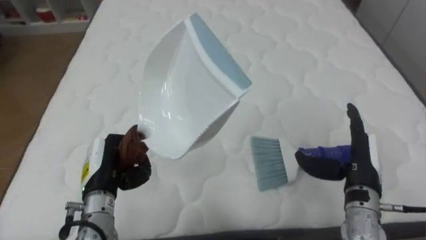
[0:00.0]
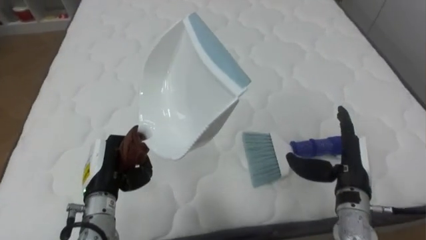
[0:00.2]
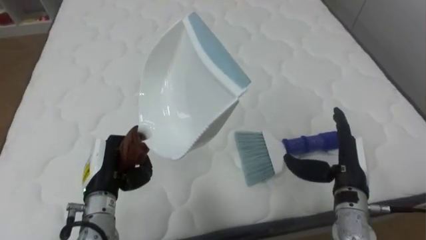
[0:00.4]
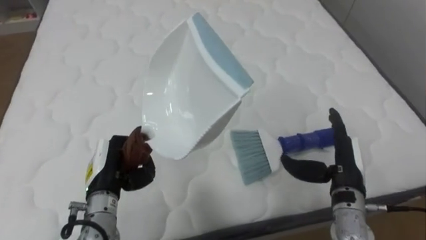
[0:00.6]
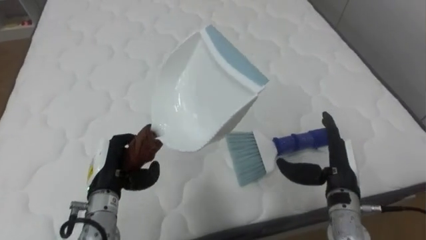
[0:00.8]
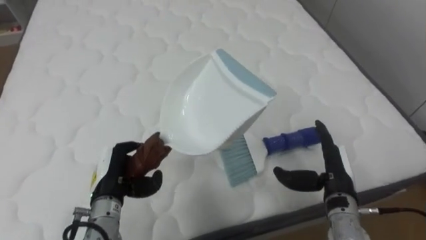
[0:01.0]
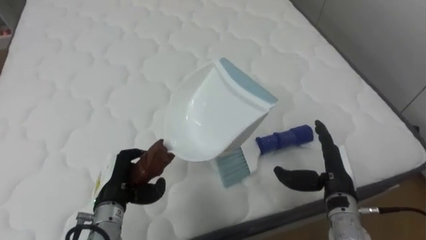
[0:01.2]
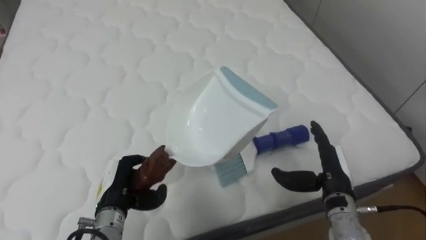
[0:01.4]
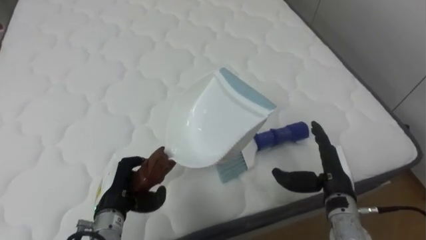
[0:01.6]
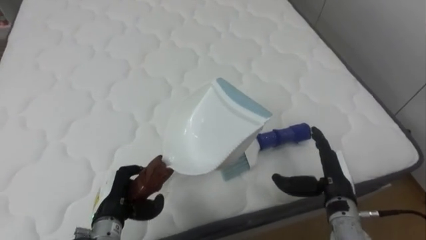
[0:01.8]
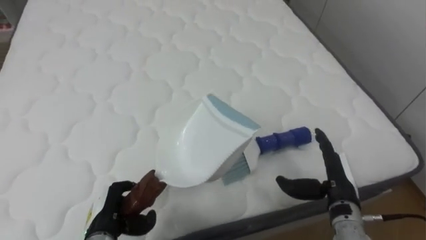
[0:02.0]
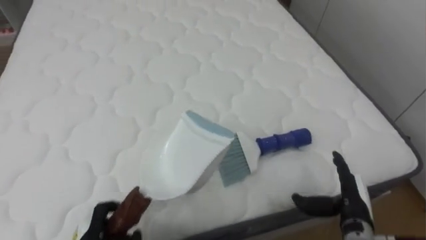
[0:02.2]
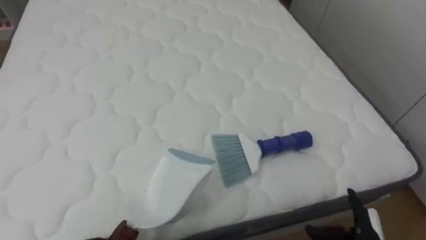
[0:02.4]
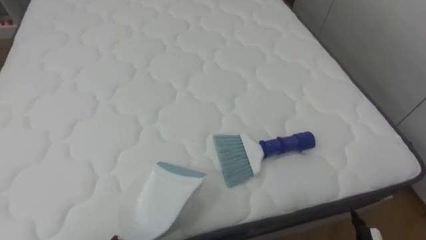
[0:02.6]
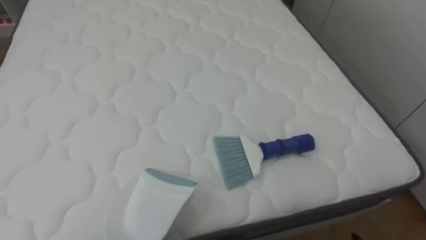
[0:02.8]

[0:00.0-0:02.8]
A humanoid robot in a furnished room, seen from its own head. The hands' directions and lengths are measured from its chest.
Task of the whole recording: Pick up the brush on your right and the dustpan on your left. Use the brush to sweep the crumpled paper on the bed into the dustpan, then turn left and empty it into the basket.
0:00.0 to 0:01.4: The right hand shifts by about 5 cm.

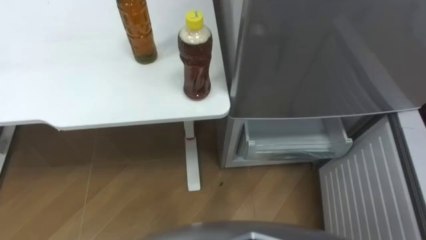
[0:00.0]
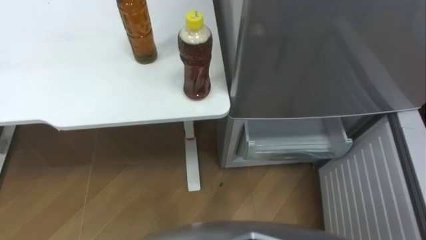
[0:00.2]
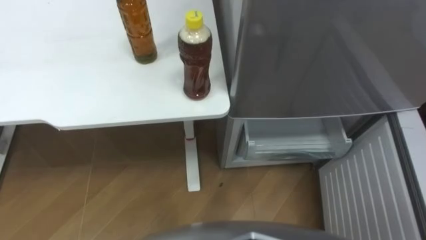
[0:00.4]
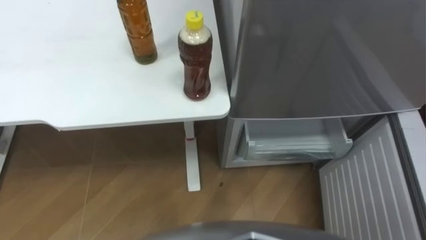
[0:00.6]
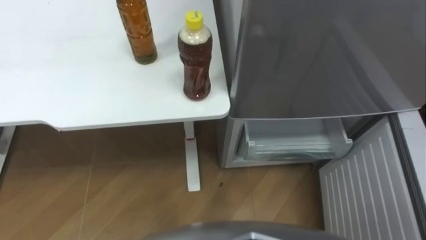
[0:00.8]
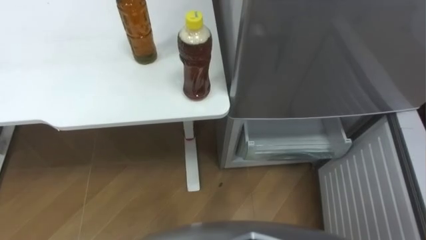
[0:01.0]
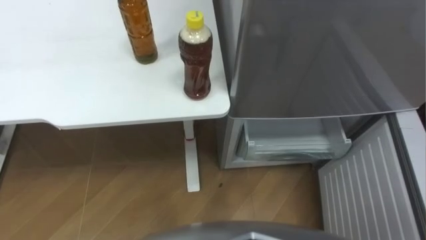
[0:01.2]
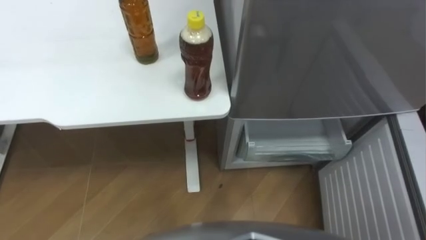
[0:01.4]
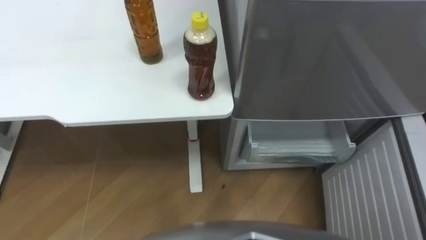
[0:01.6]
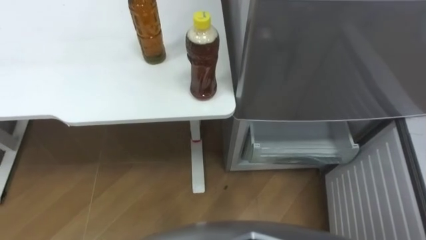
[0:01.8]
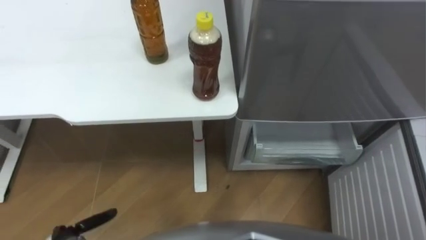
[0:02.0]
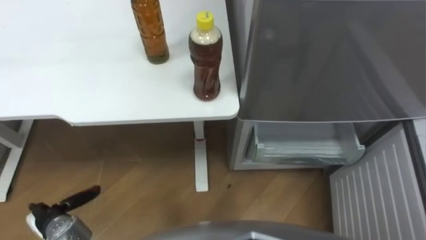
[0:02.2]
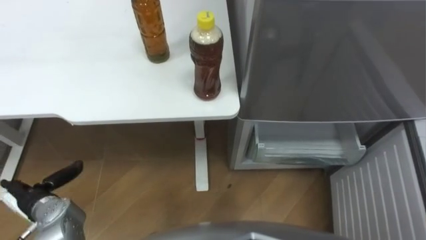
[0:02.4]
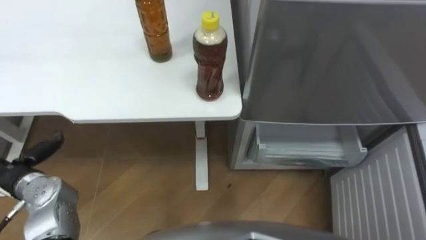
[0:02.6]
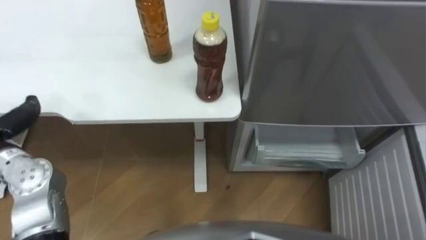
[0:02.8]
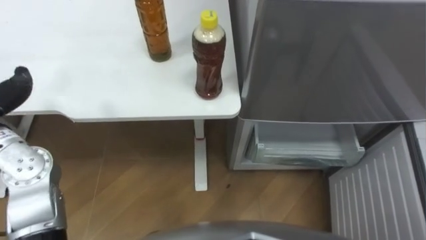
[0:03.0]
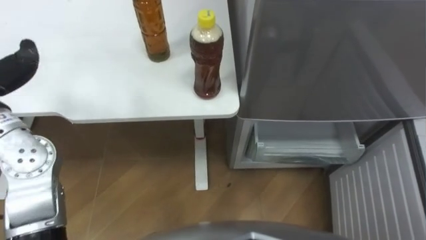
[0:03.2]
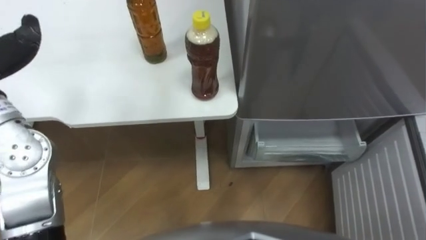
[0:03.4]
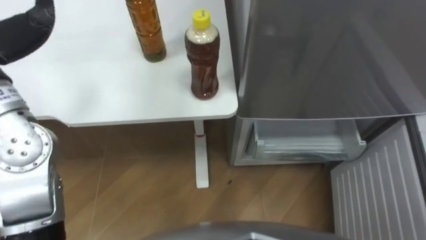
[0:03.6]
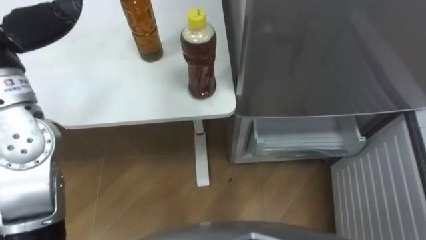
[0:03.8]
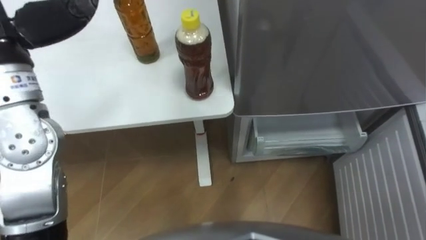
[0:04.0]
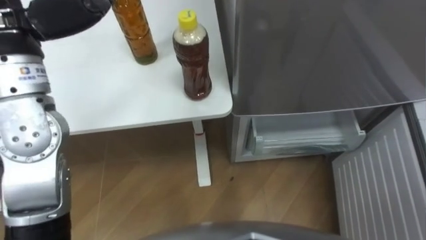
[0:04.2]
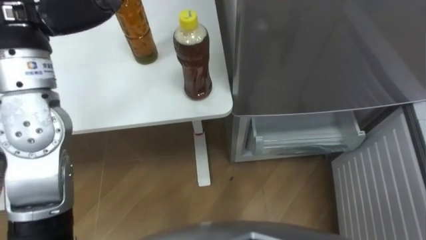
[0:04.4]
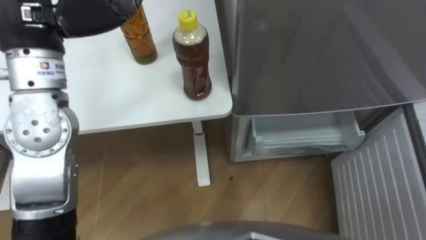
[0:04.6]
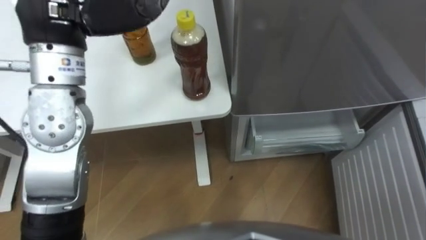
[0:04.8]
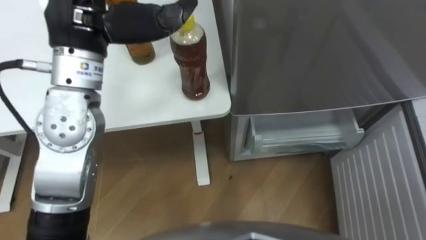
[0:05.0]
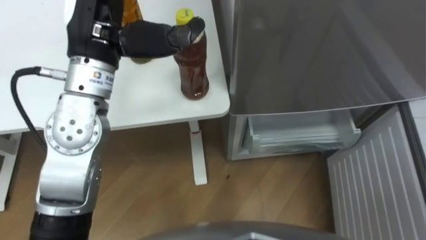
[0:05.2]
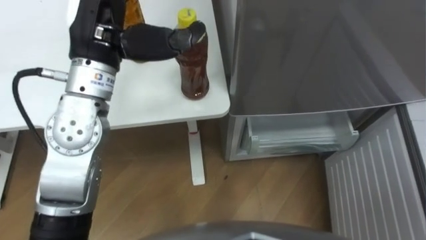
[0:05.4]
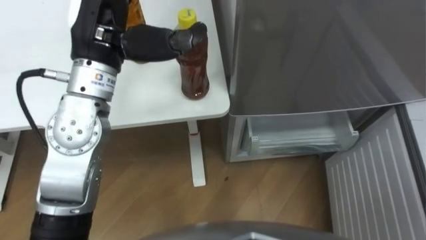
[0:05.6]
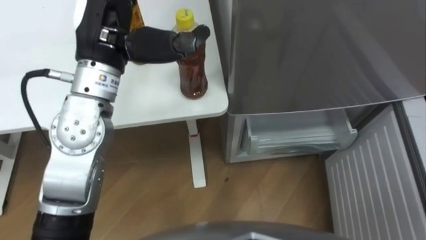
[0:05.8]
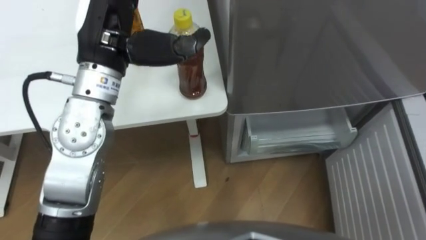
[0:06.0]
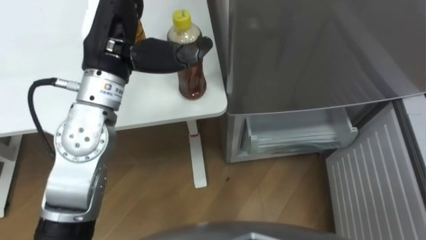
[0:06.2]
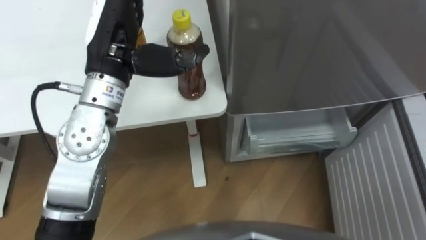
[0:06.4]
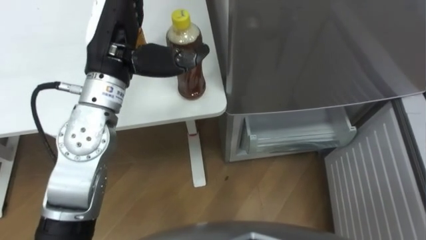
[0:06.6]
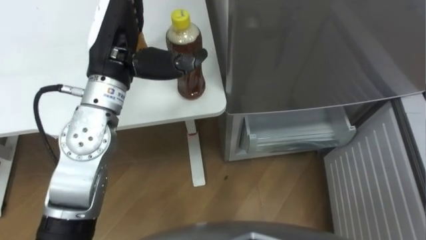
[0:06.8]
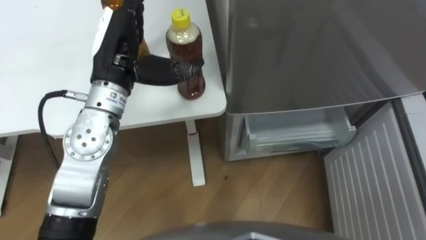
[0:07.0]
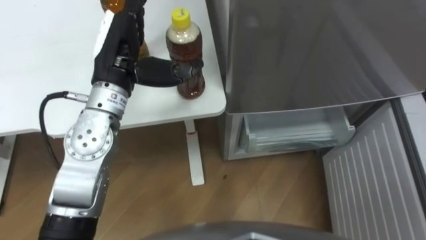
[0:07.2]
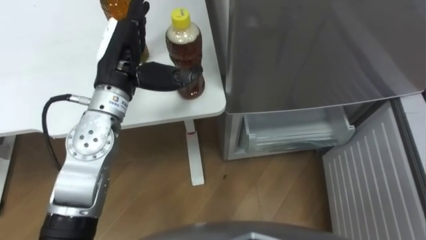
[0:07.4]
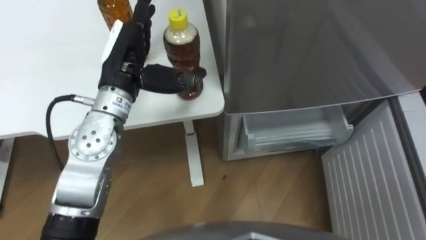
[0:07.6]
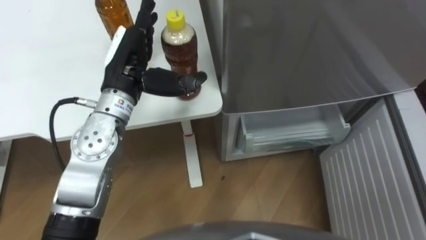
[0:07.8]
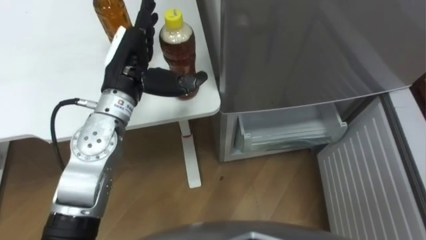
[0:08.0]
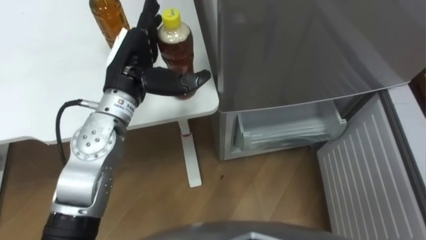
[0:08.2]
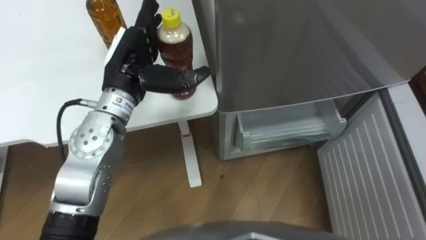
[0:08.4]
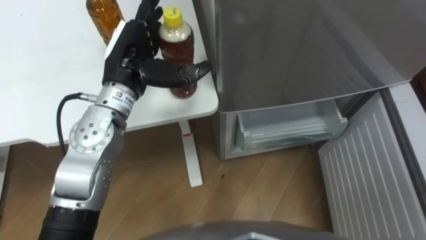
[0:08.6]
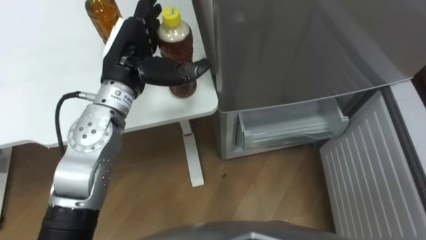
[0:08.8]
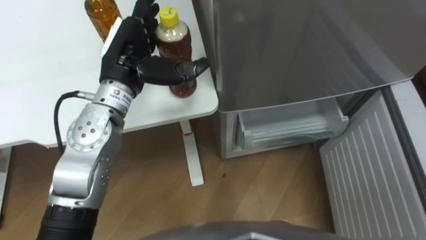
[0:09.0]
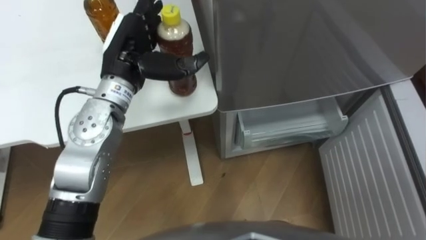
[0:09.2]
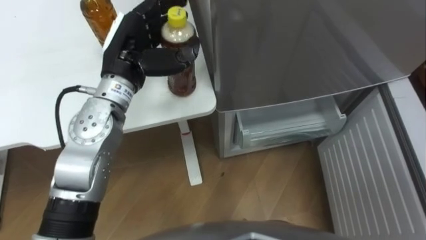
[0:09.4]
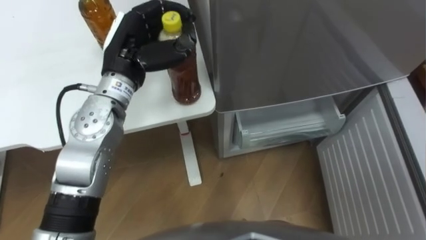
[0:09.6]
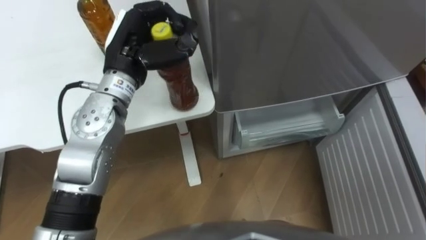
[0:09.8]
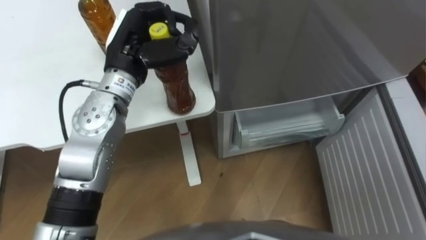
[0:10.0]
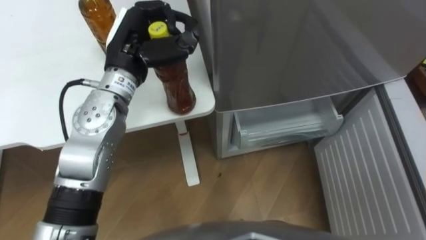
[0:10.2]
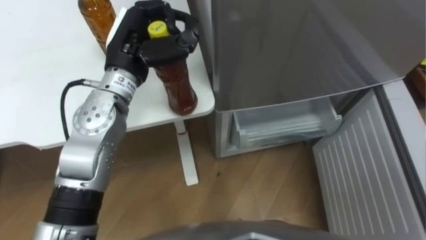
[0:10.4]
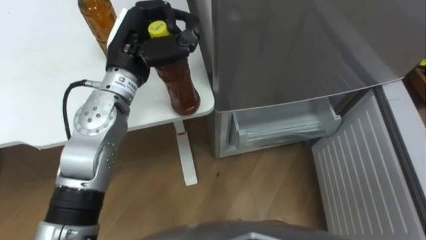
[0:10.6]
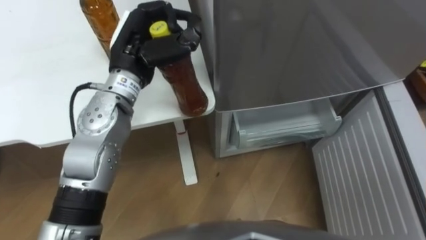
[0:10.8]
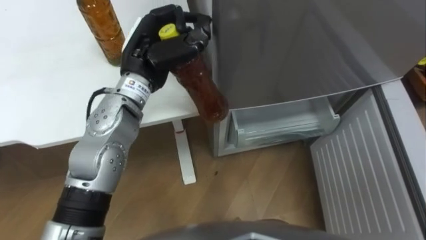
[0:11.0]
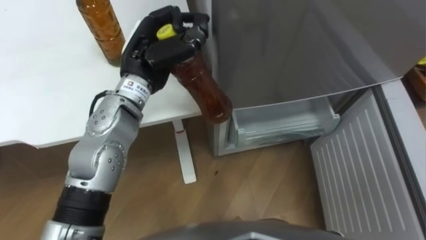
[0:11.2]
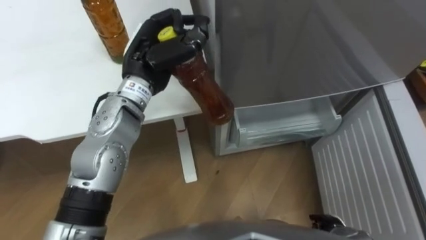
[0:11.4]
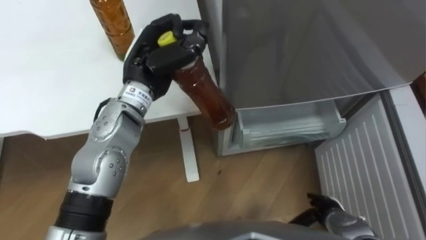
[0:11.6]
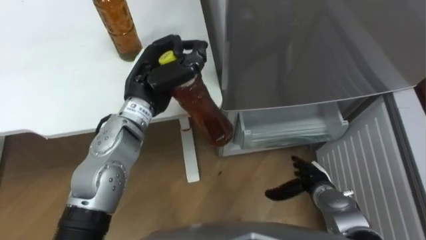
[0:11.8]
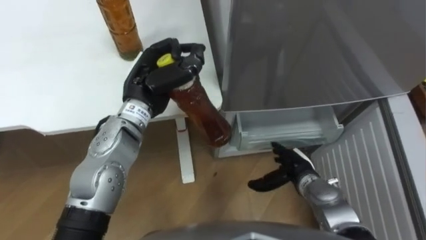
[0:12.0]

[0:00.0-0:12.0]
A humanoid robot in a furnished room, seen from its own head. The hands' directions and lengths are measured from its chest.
Task of the whole recording: Place the drink on the table on the bottom shelf of the refrigerator, then close the drawer and the refrigerator door.
0:04.4 to 0:06.0: The left hand travels to the right and downward by approximately 10 cm.
0:06.0 to 0:07.6: The left hand shifts some 10 cm downward.
0:09.0 to 0:10.4: The left hand closes.
0:10.4 to 0:12.0: The left hand heads downward, covering approximately 5 cm.

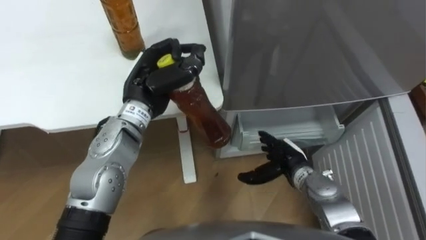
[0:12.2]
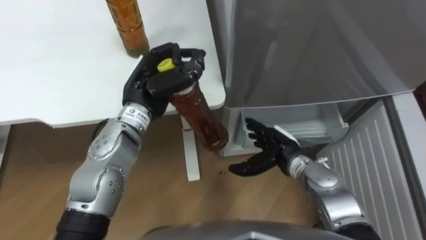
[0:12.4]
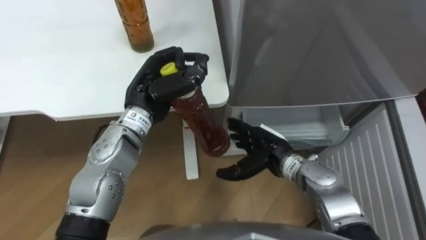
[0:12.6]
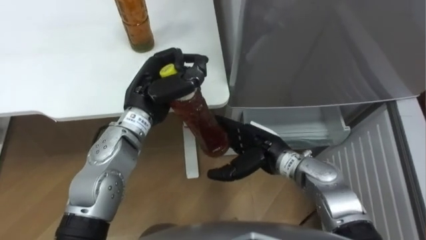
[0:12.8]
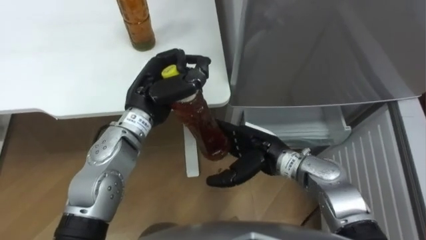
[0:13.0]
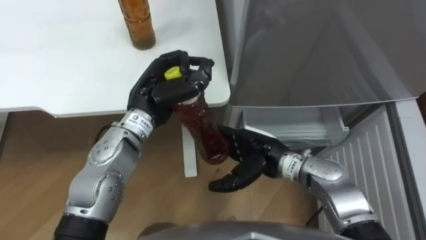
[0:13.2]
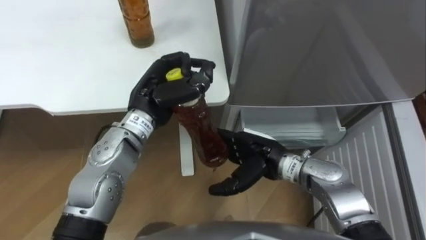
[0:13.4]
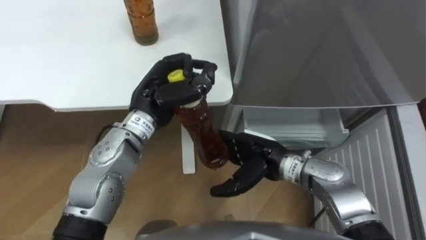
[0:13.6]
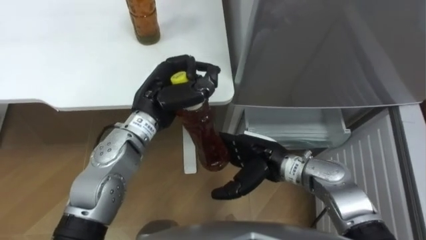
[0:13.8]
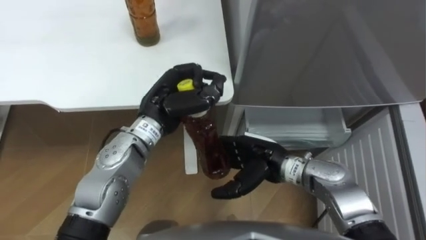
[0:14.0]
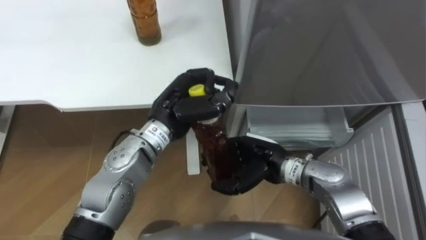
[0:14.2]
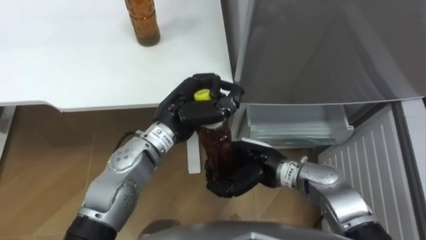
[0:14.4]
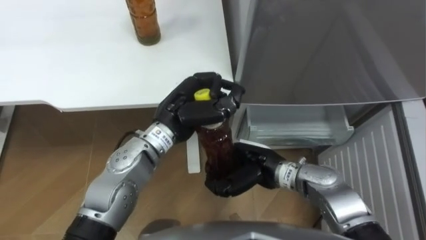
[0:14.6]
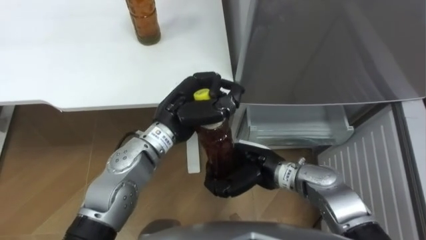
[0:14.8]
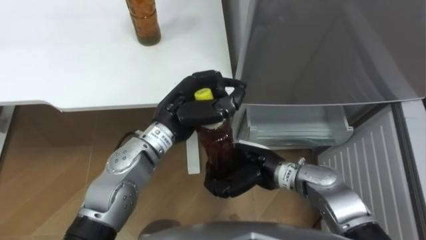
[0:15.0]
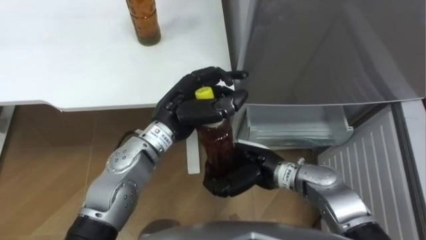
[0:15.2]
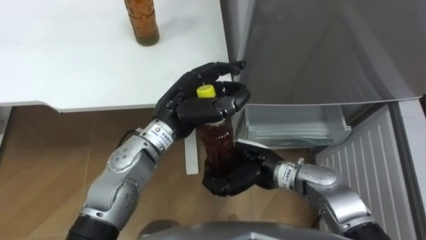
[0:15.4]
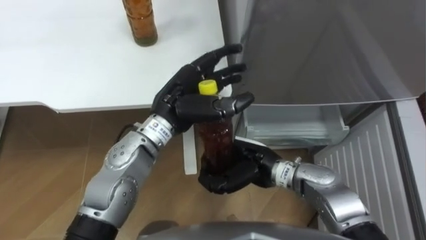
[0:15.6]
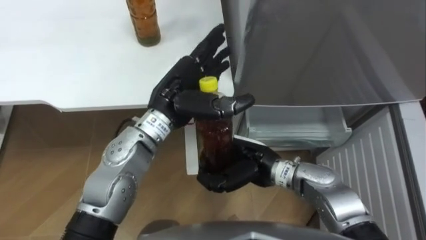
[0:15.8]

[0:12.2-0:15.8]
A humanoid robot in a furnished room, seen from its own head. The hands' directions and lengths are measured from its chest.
Task of the whole recording: Place the drink on the table on the bottom shelf of the refrigerator, then close the drawer and the refrigerator door.
0:12.2 to 0:14.0: The right hand heads to the left and upward, covering roughly 10 cm.
0:14.0 to 0:15.8: The left hand opens up, while the right hand closes its fingers.
